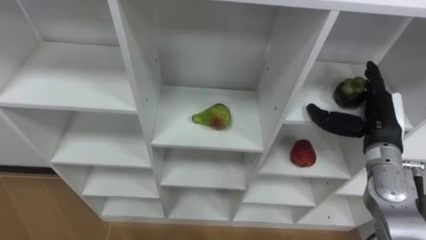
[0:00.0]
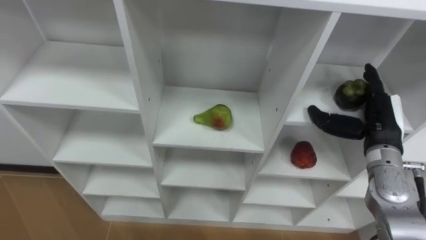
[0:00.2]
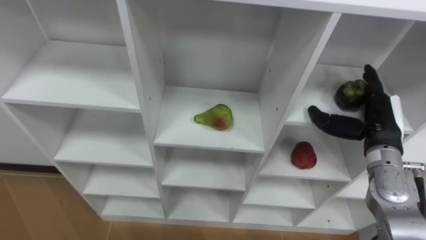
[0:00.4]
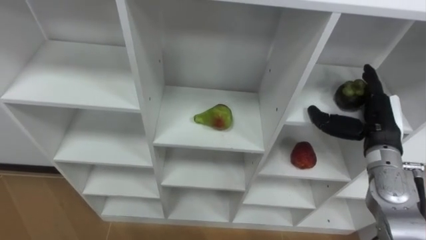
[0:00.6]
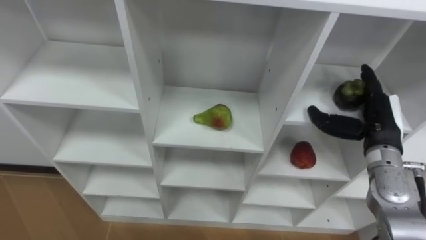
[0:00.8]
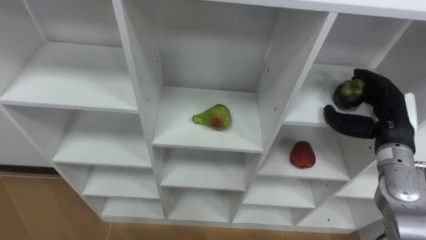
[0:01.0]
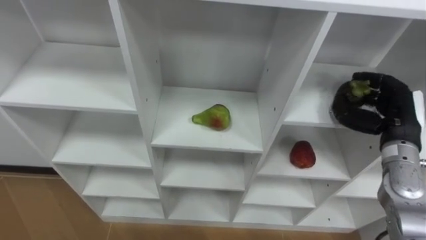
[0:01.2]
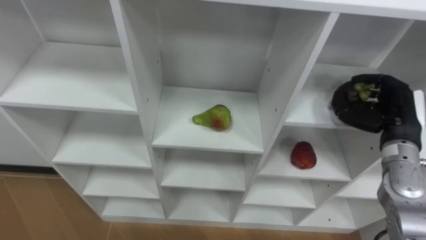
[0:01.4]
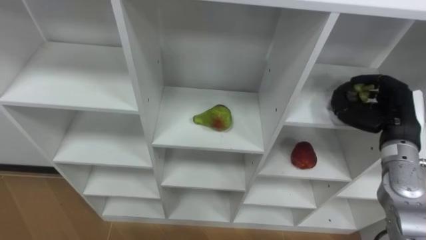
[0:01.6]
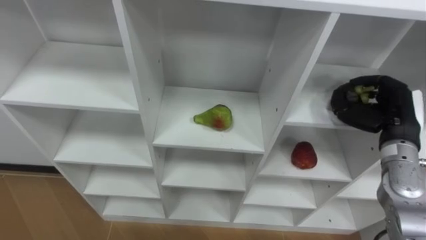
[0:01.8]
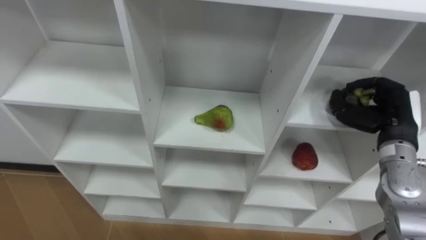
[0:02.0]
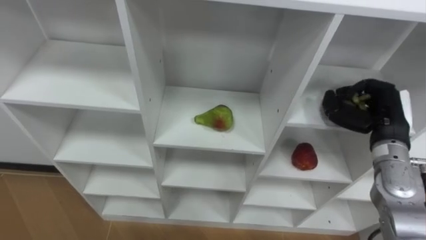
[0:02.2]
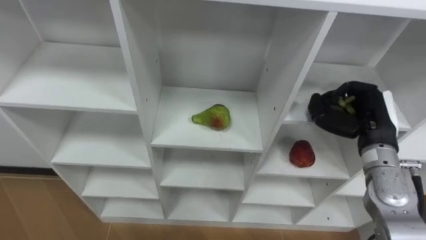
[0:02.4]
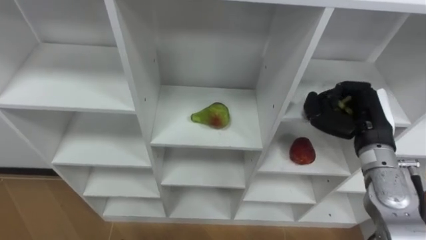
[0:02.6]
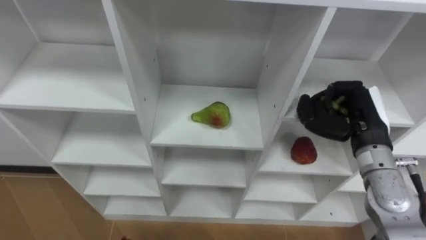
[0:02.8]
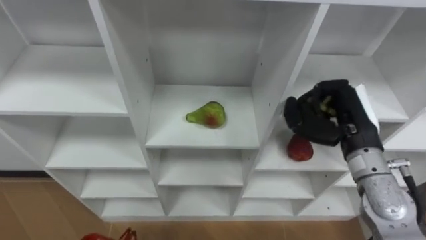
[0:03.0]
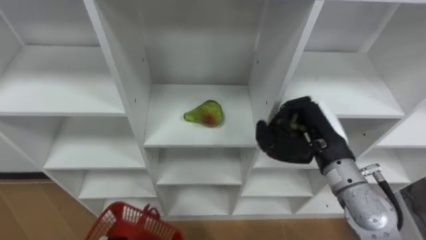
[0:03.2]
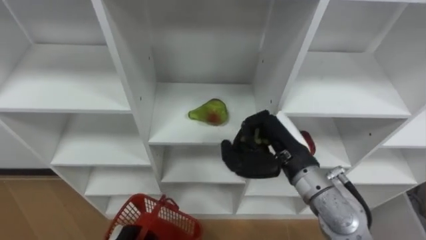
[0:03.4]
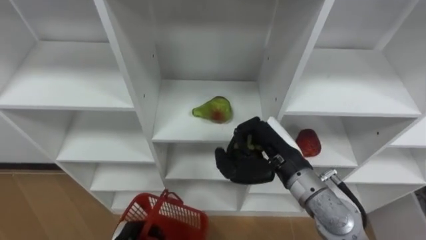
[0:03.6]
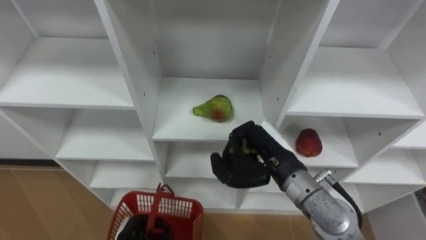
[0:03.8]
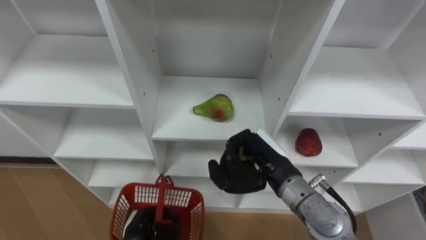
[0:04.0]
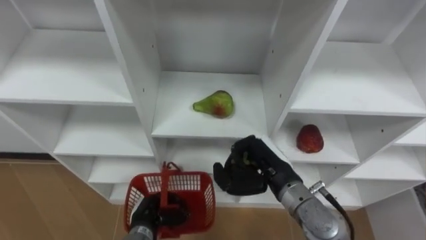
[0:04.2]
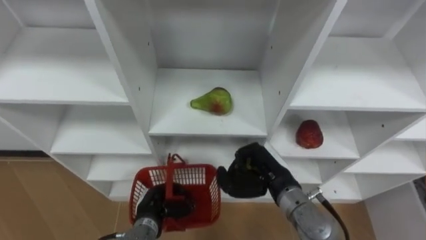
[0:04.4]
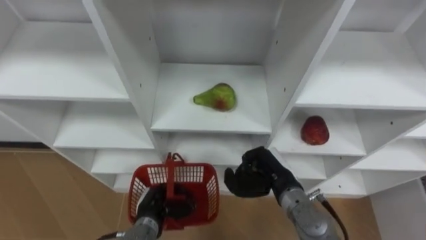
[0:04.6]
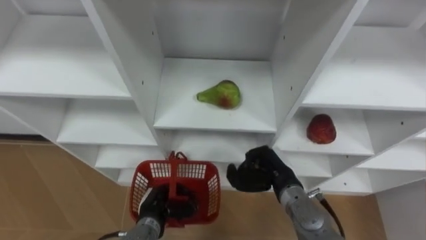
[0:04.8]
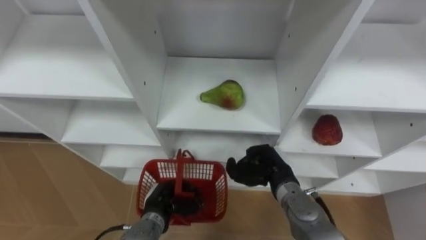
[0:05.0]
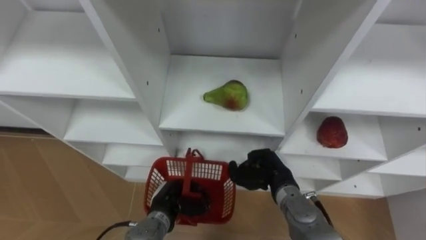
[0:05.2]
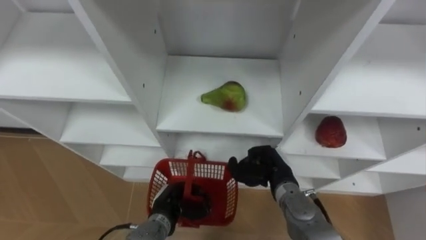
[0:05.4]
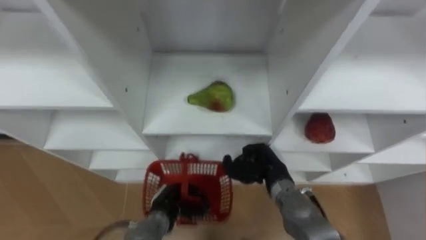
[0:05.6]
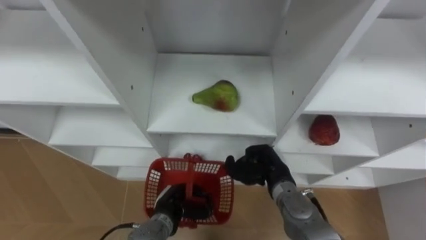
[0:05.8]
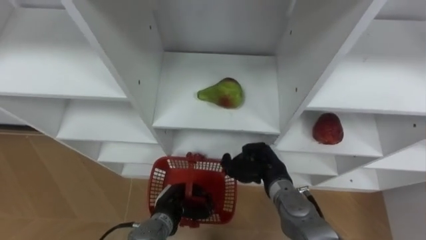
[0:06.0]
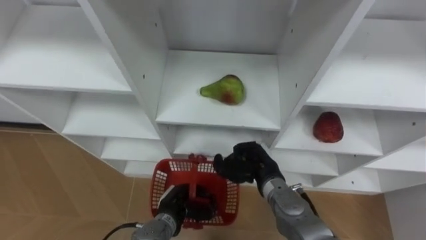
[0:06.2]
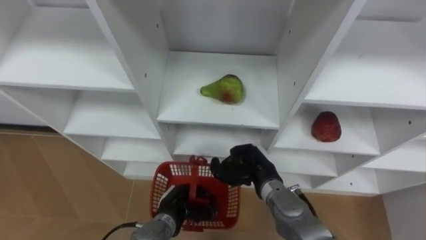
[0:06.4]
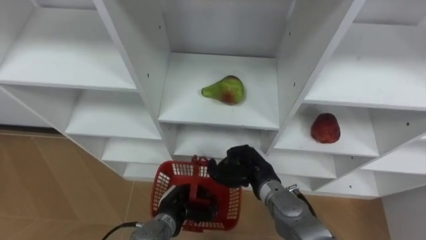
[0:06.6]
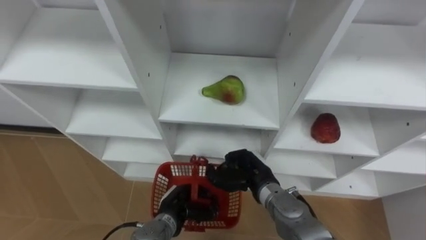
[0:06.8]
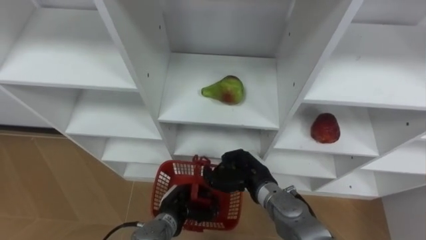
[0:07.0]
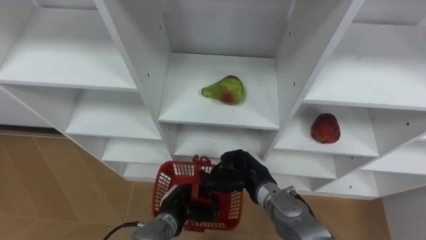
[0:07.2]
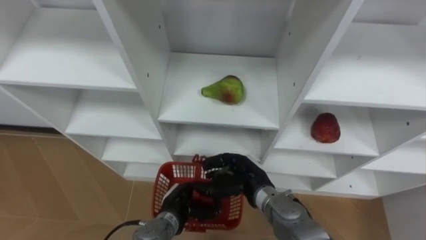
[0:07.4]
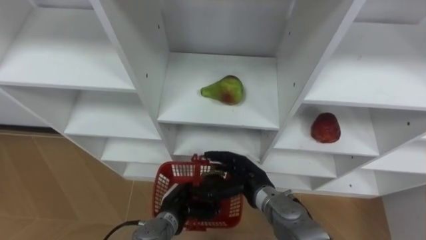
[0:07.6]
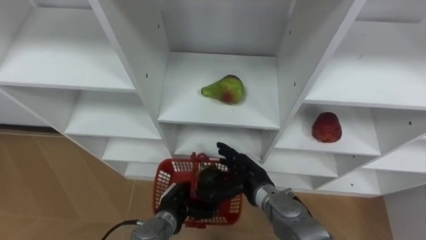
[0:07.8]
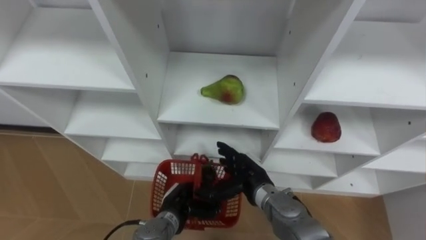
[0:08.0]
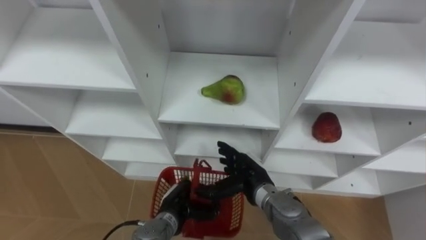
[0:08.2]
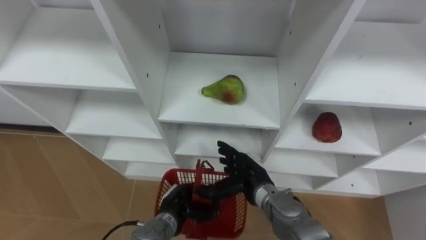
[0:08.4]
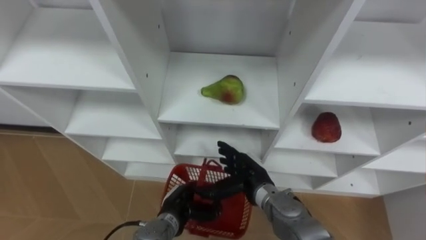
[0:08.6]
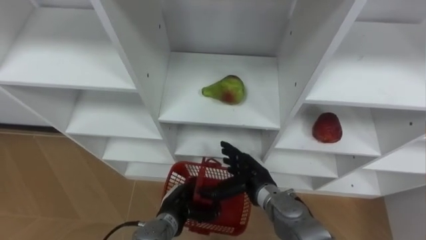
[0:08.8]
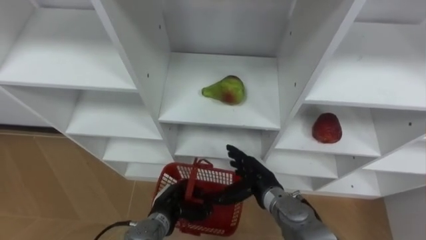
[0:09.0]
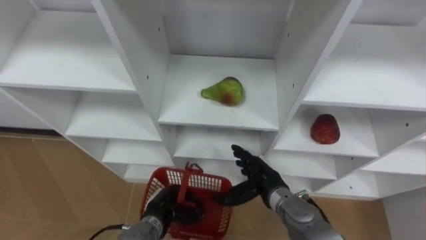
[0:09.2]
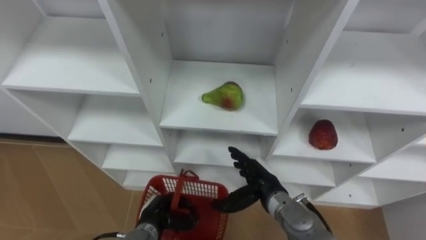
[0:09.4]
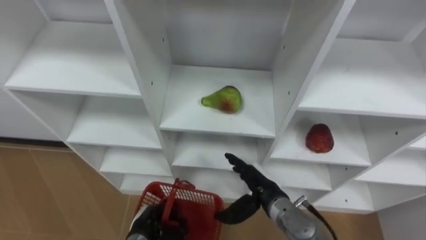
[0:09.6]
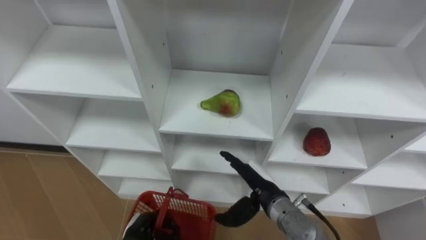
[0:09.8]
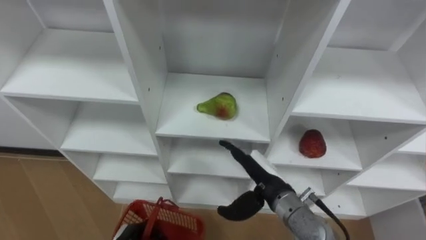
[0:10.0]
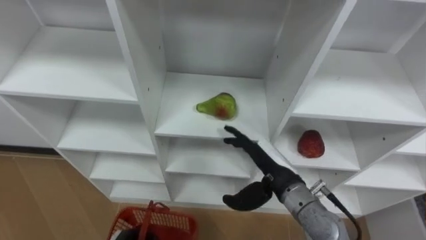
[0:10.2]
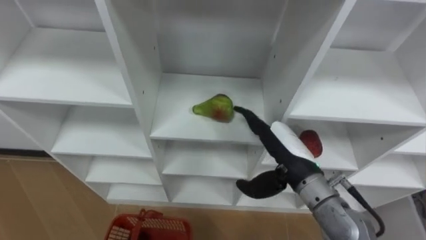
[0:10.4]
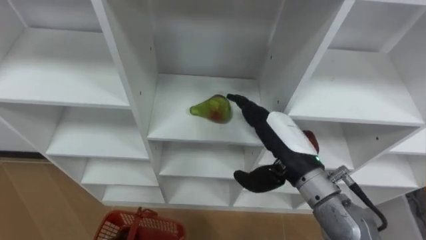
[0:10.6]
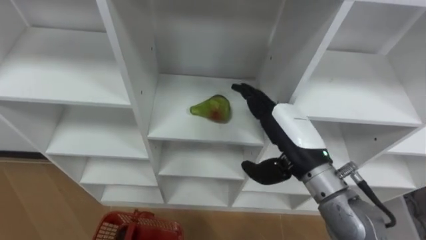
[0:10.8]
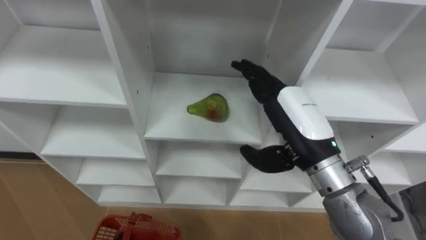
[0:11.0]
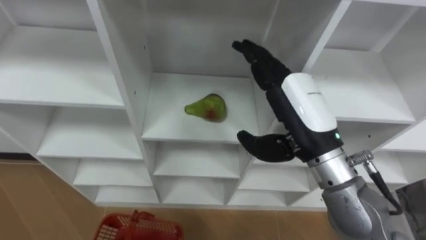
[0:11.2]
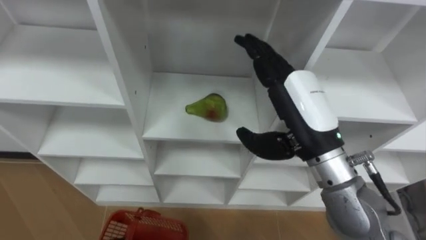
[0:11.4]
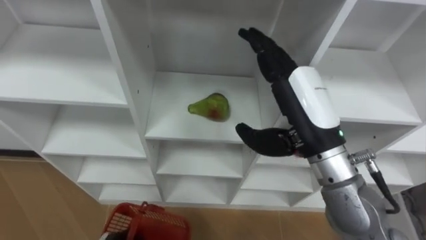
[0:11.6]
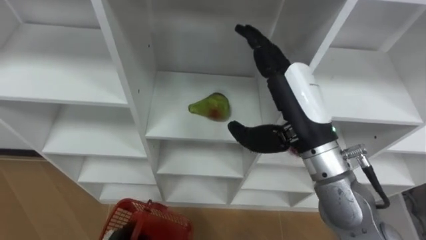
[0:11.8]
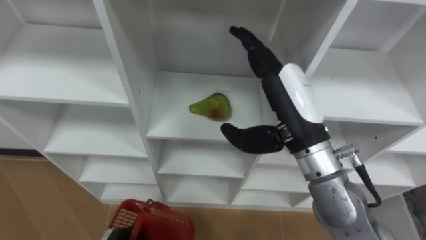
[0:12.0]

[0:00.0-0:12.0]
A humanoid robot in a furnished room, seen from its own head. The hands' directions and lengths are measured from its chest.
Task of the whole recording: Hold the basket and collect the fruits from 3 different cells of the closet into it.
0:00.0 to 0:01.6: The right hand closes its fingers.
0:01.6 to 0:03.0: The right hand moves to the left, roughly 10 cm.
0:03.0 to 0:04.4: The right hand moves to the left and downward, approximately 15 cm.
0:04.4 to 0:06.0: The right hand changes place by some 5 cm.
0:06.0 to 0:07.6: The right hand opens its fingers.
0:09.0 to 0:10.4: The right hand moves upward and to the right, some 15 cm.
0:10.4 to 0:12.0: The right hand moves upward, about 10 cm.

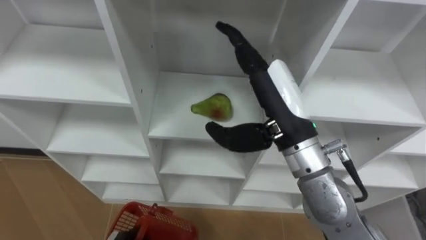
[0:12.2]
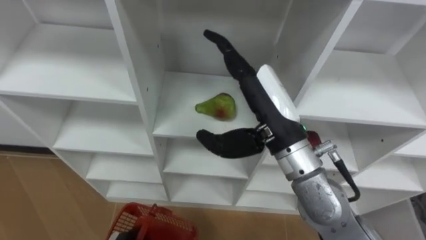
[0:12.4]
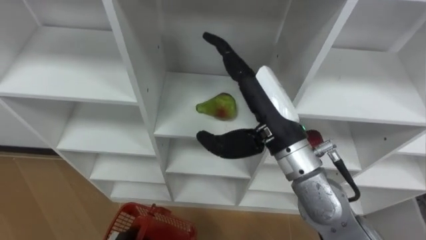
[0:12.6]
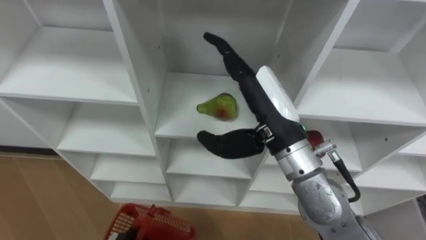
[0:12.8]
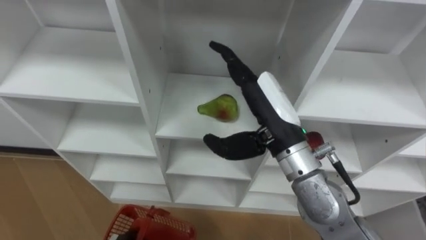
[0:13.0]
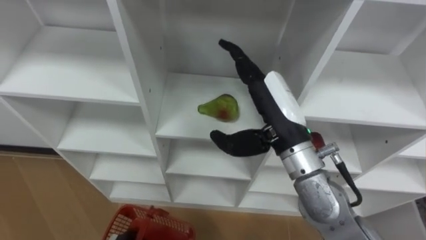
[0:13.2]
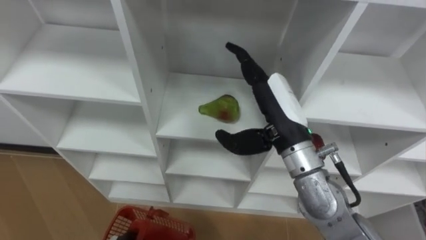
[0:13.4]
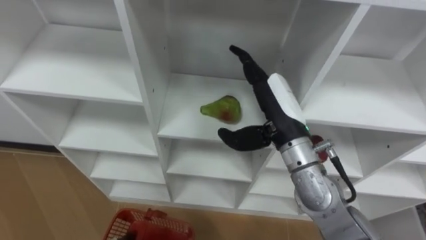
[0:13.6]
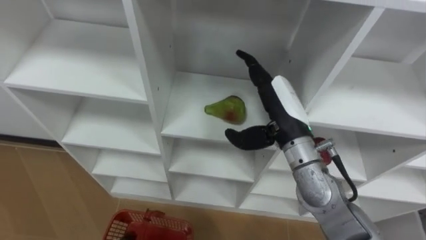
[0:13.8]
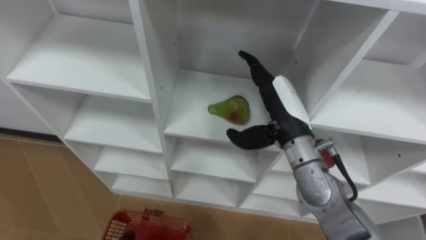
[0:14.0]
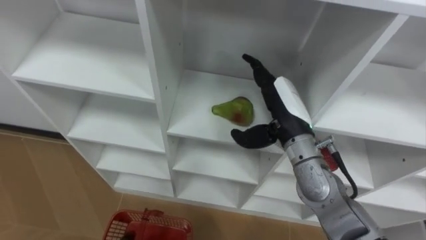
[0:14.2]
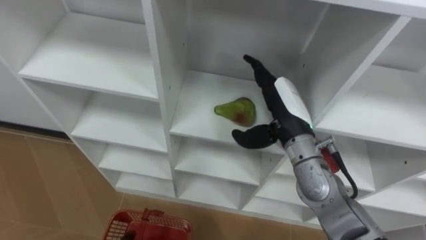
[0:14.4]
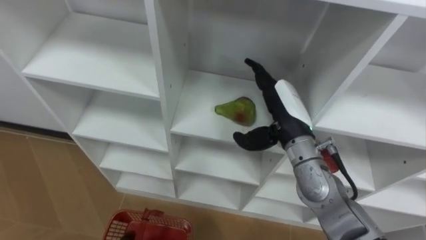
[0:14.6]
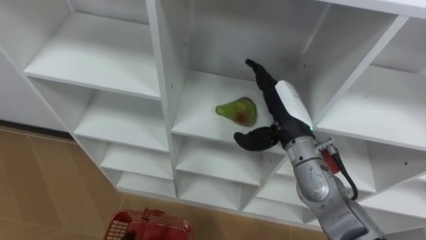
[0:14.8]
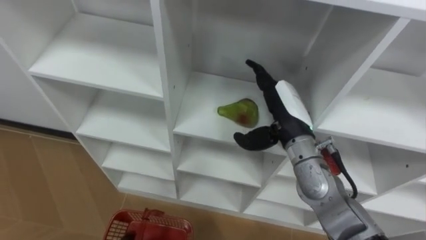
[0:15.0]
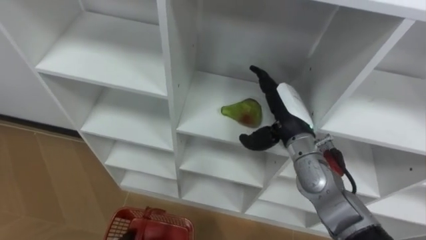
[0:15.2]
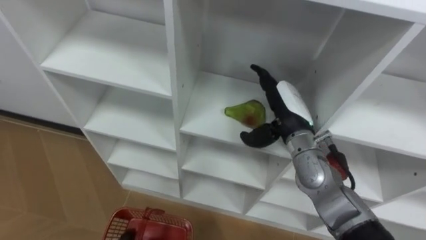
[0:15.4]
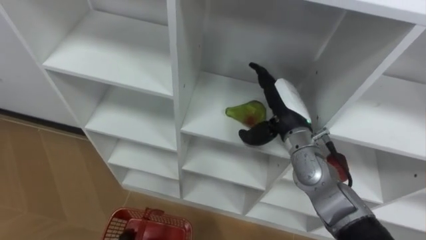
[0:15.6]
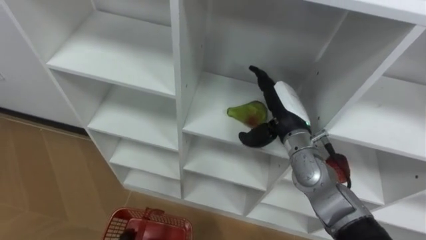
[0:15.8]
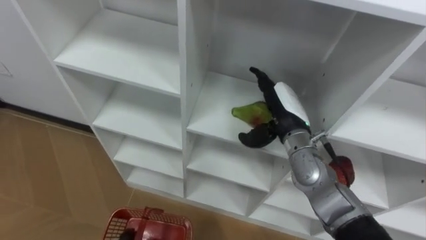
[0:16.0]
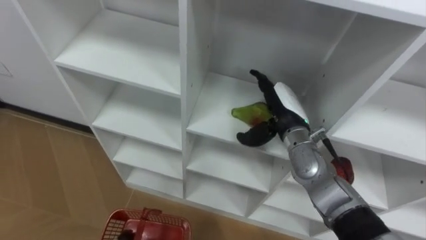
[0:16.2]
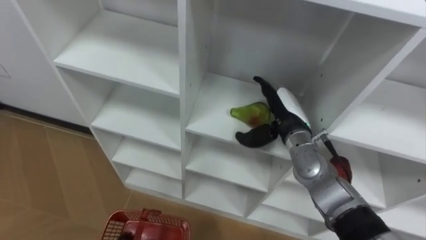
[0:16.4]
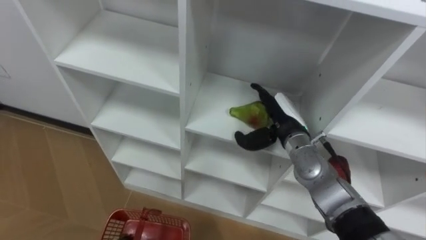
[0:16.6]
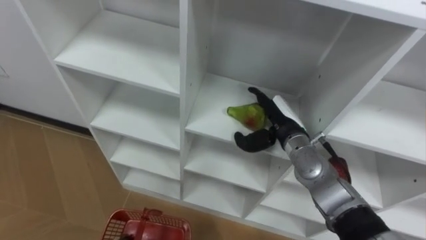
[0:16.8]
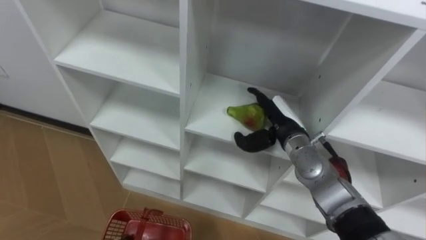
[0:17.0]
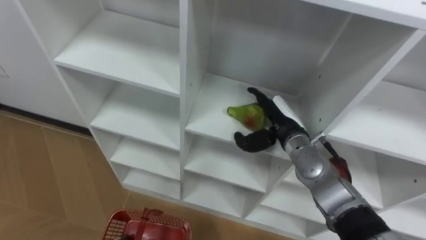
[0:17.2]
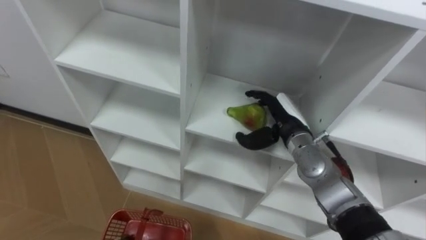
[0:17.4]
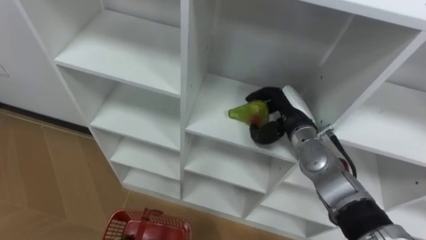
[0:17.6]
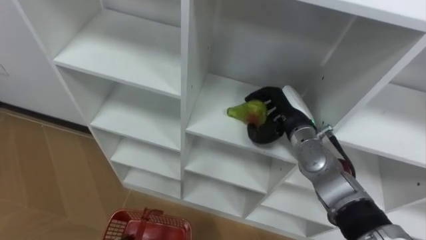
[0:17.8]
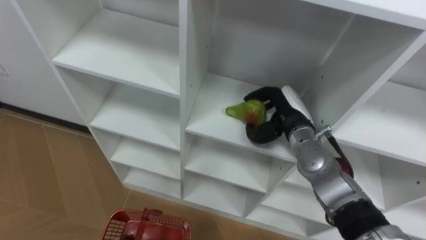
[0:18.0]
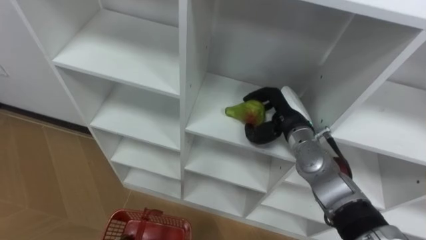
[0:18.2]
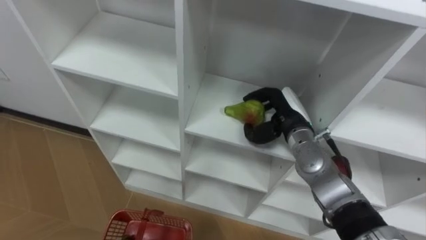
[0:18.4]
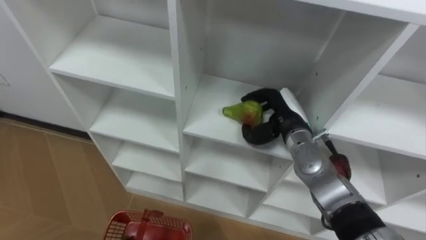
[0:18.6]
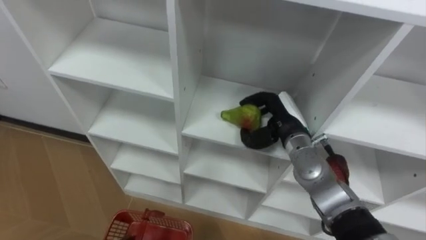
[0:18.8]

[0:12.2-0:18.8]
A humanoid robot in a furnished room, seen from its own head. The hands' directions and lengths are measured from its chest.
Task of the whole recording: Hold the basket and collect the fruits from 3 different cells of the closet into it.
0:12.2 to 0:13.8: The right hand travels downward by roughly 5 cm.
0:13.8 to 0:15.4: The right hand changes place by some 5 cm.
0:17.2 to 0:18.8: The right hand closes.
